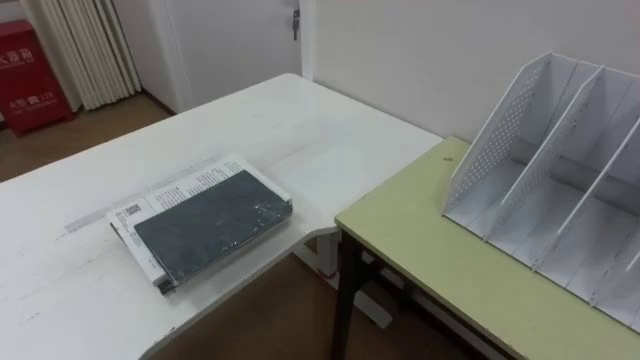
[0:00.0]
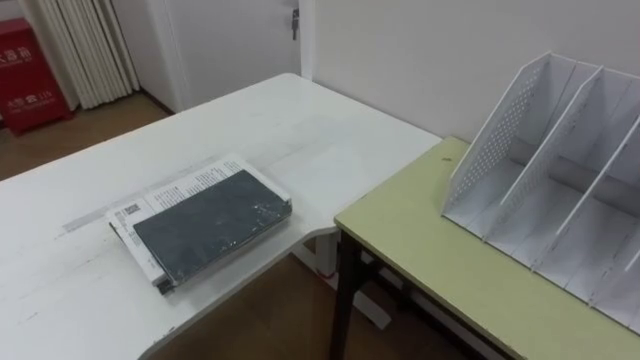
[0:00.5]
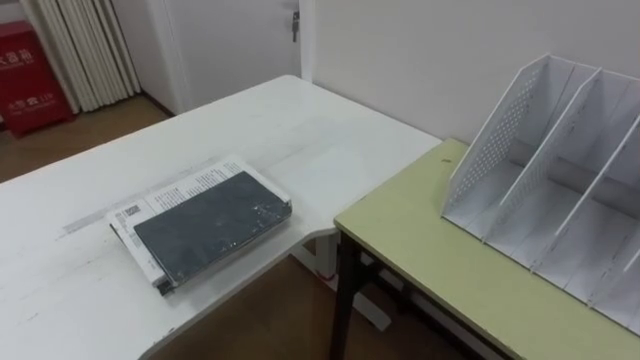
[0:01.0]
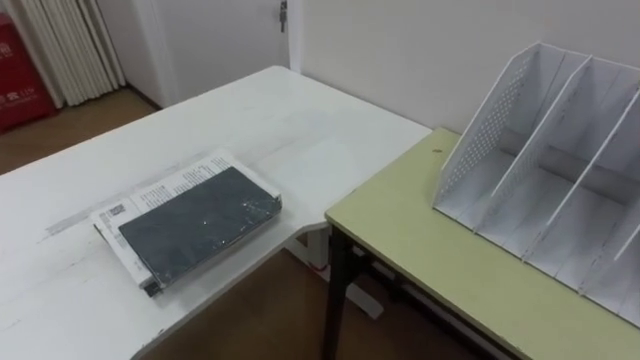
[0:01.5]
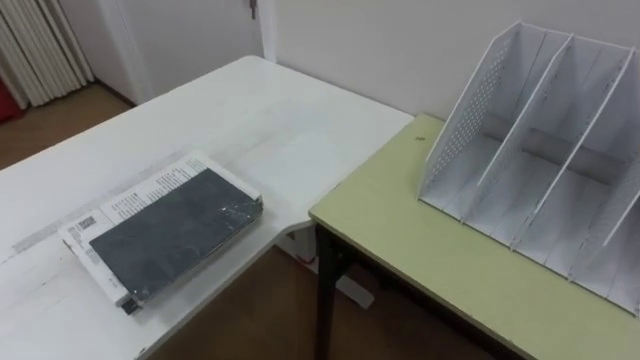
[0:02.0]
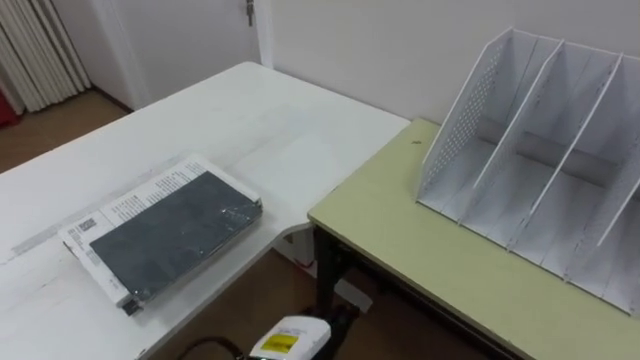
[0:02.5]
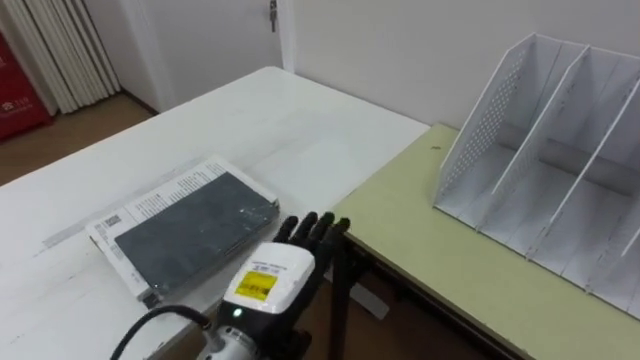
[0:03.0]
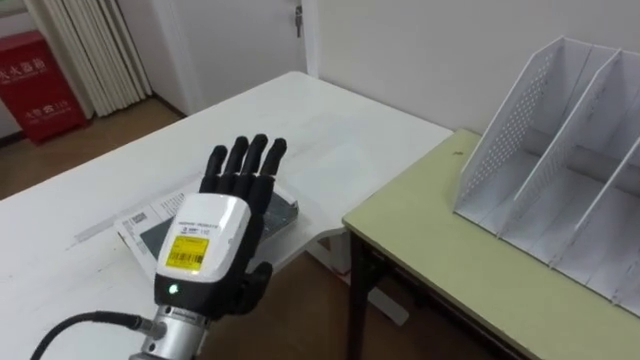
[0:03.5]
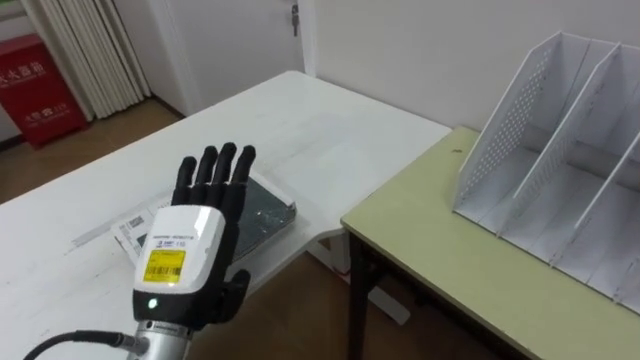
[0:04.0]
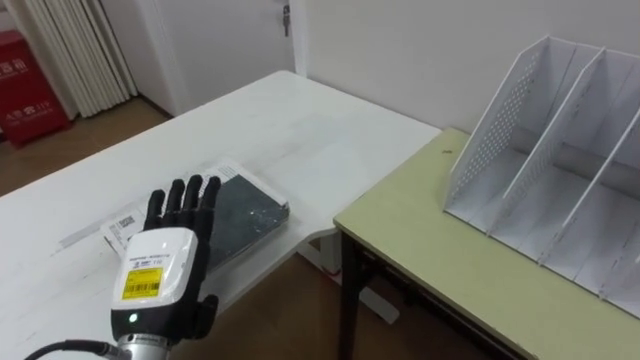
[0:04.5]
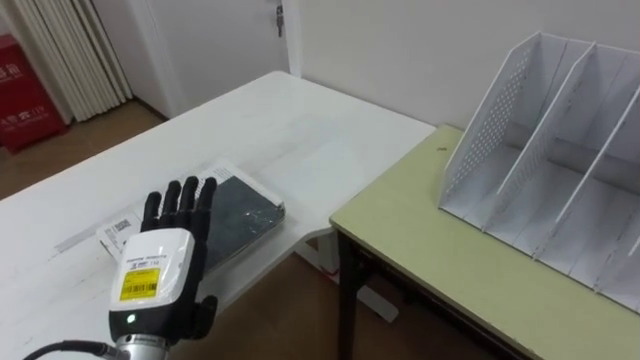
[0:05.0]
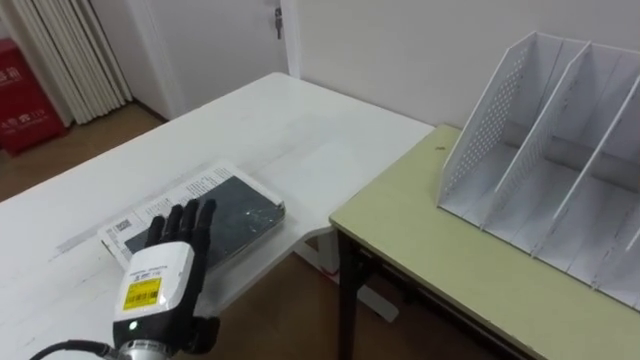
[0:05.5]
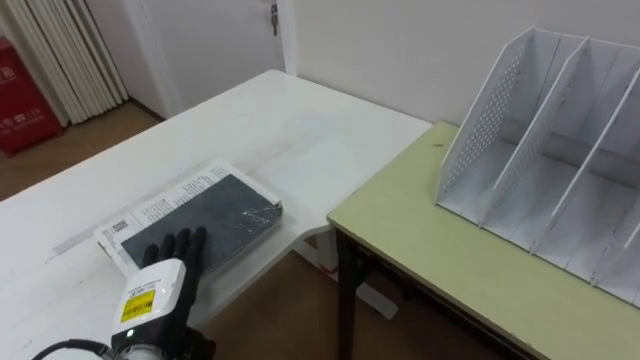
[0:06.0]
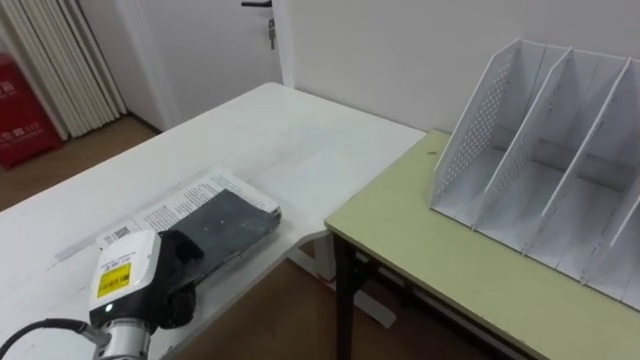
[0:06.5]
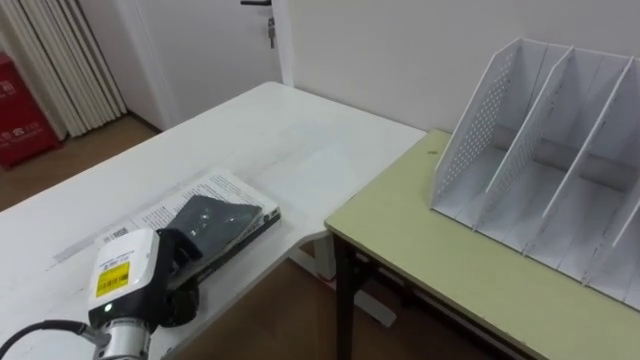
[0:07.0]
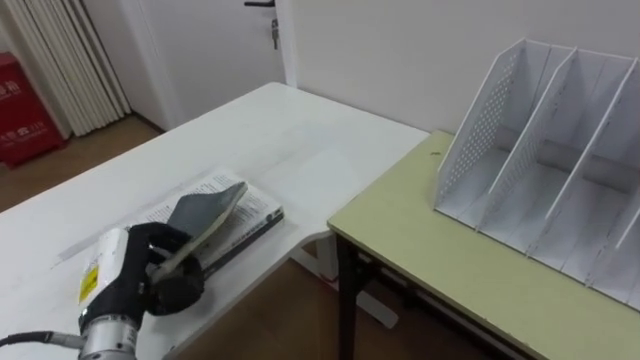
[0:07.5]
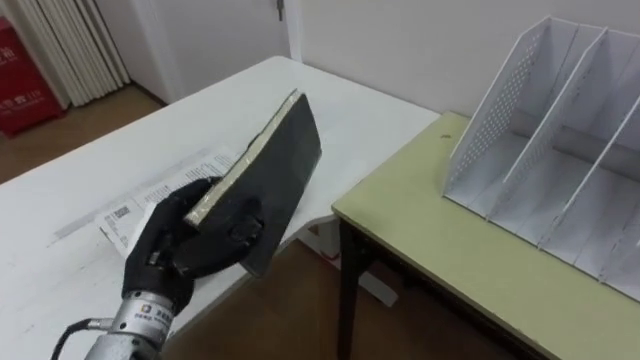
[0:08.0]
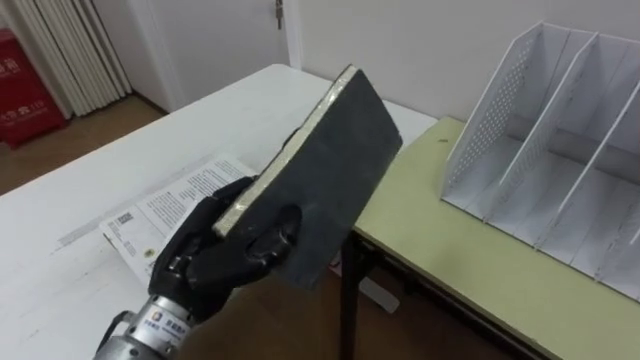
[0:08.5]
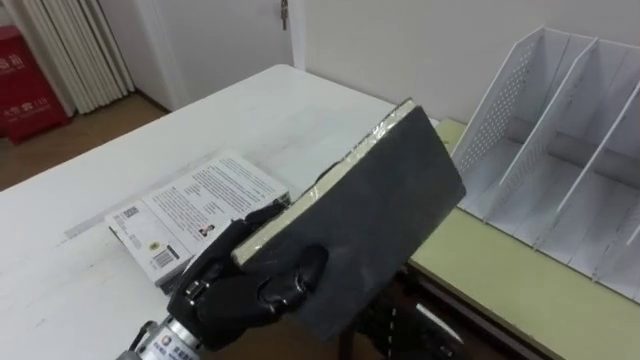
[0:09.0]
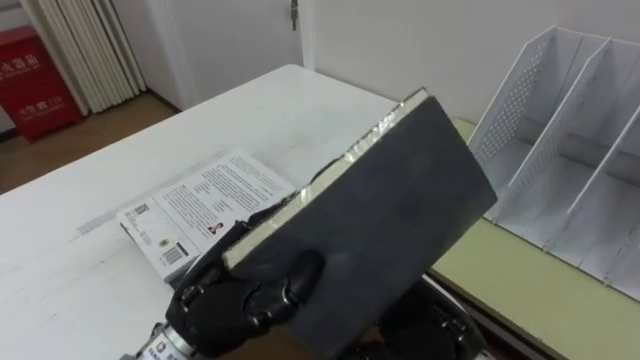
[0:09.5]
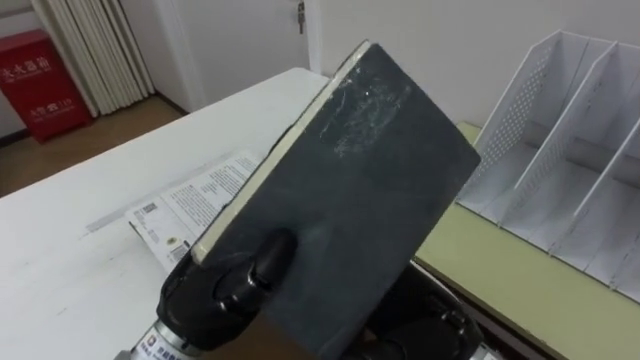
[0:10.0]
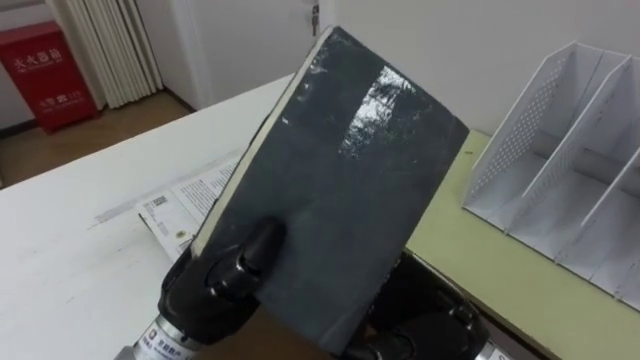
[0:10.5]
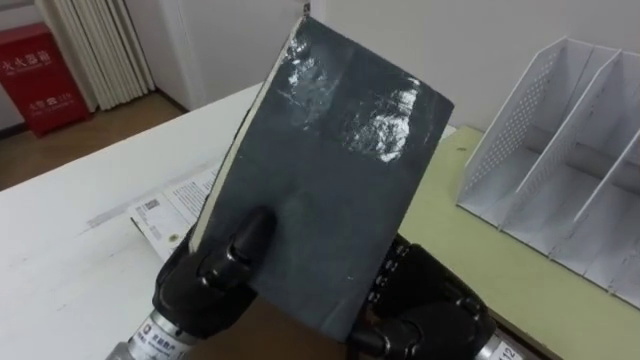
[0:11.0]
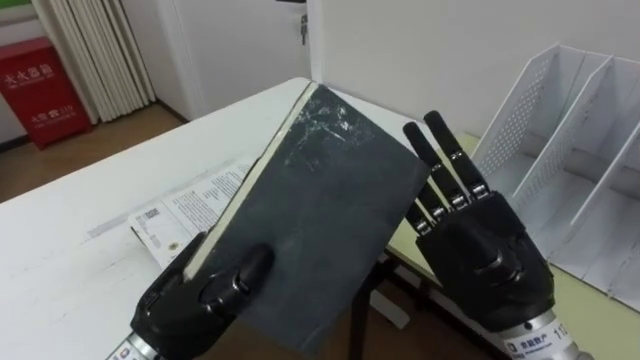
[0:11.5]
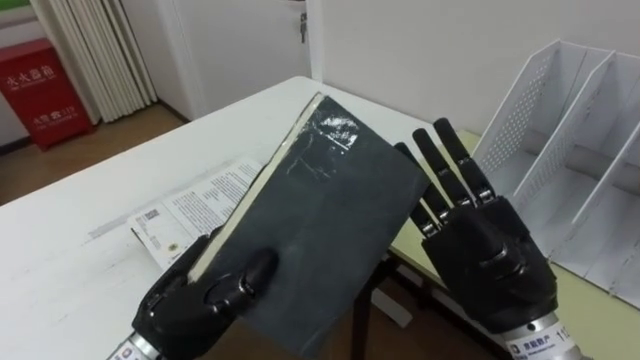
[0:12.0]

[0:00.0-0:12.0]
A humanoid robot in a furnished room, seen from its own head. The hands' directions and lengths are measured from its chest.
Task of the whole recording: Put the books on the table onto the bookshelf.
0:04.0 to 0:06.0: The left hand goes some 10 cm downward and to the left.
0:06.0 to 0:08.0: The left hand is displaced upward by approximately 10 cm, and closes its fingers.
0:08.0 to 0:10.0: The left hand shifts about 5 cm to the right.
0:10.0 to 0:12.0: The right hand moves upward and to the right, approximately 10 cm, while the left hand changes place by roughly 5 cm.

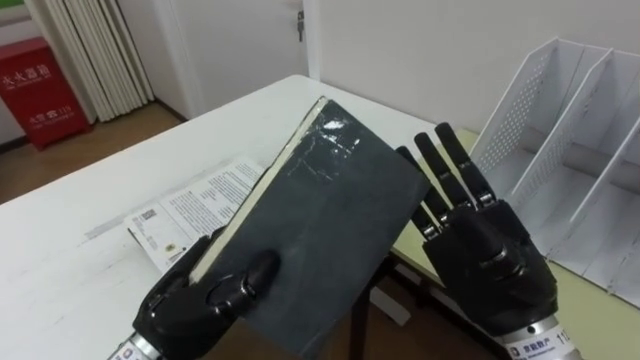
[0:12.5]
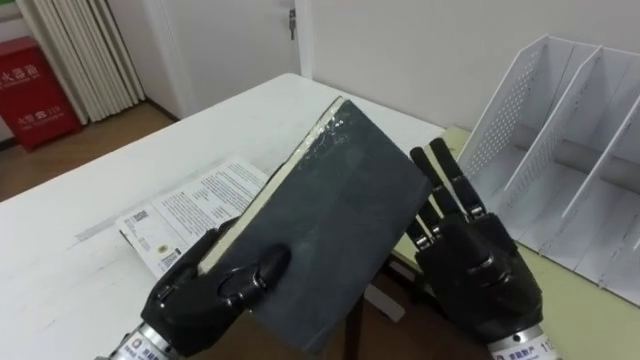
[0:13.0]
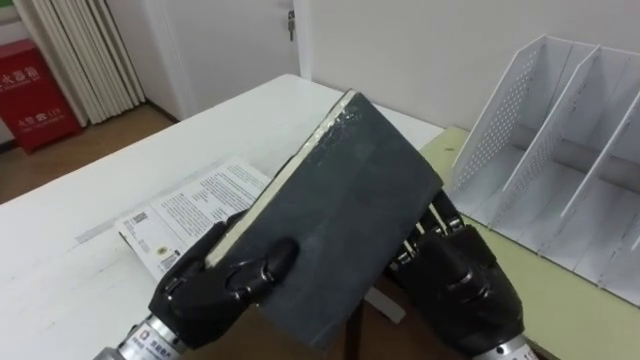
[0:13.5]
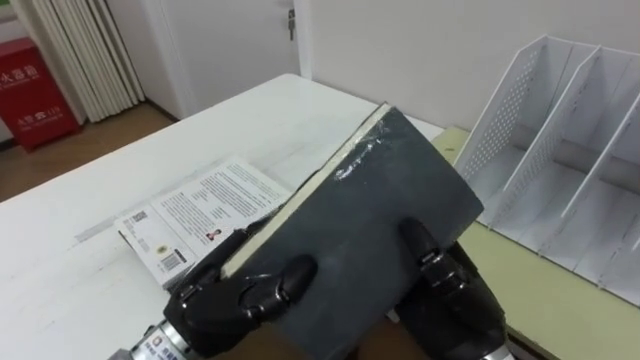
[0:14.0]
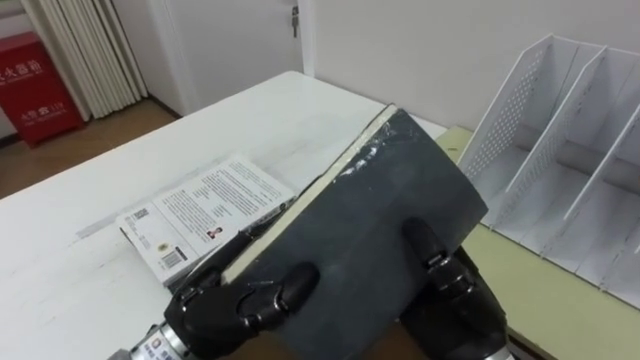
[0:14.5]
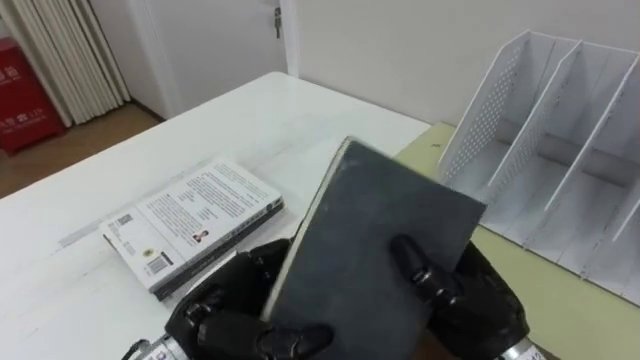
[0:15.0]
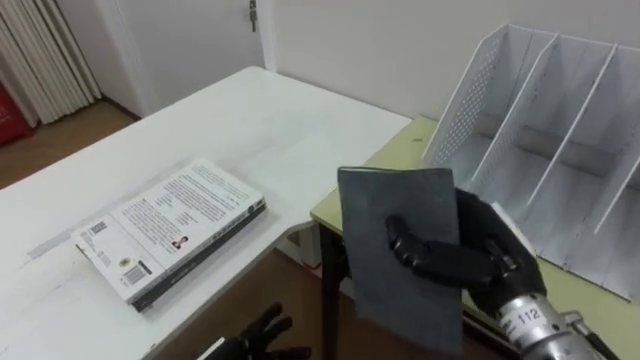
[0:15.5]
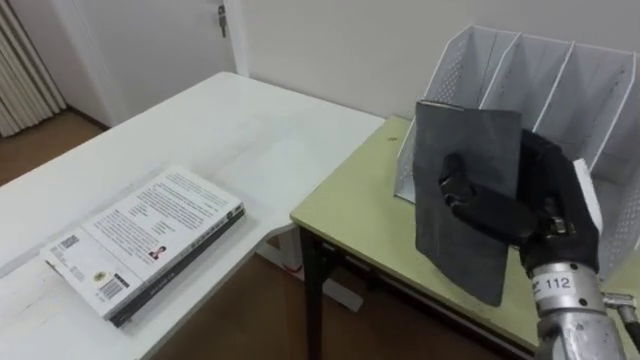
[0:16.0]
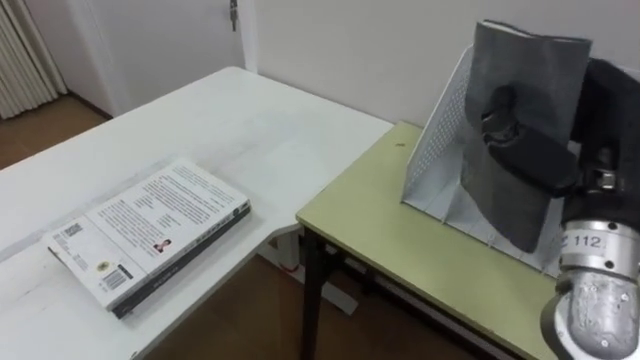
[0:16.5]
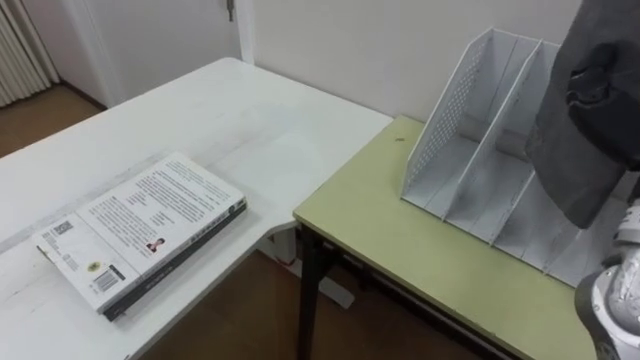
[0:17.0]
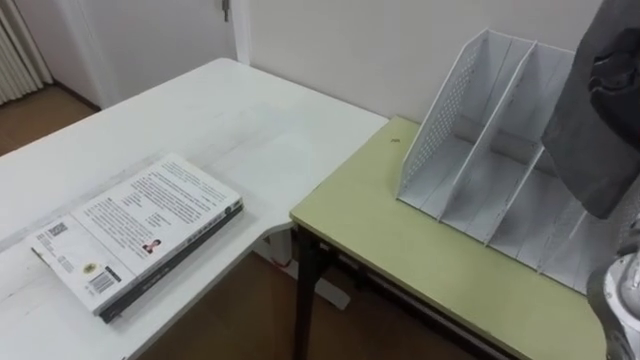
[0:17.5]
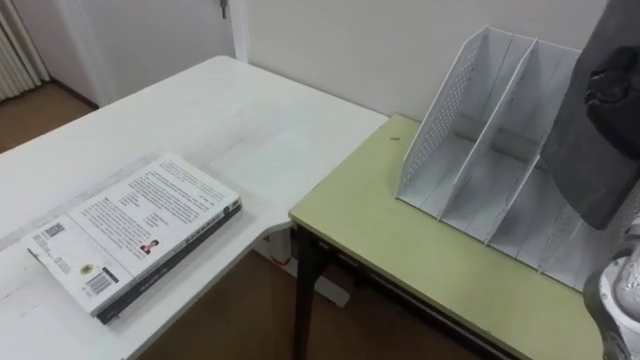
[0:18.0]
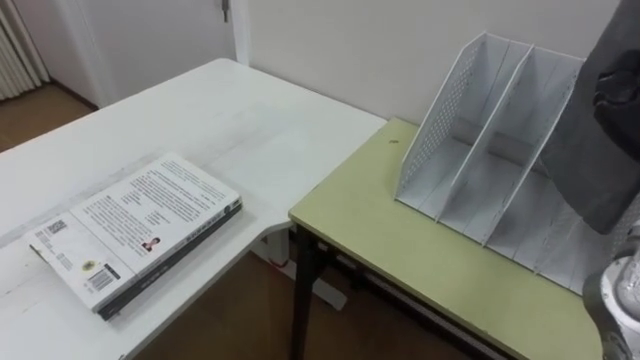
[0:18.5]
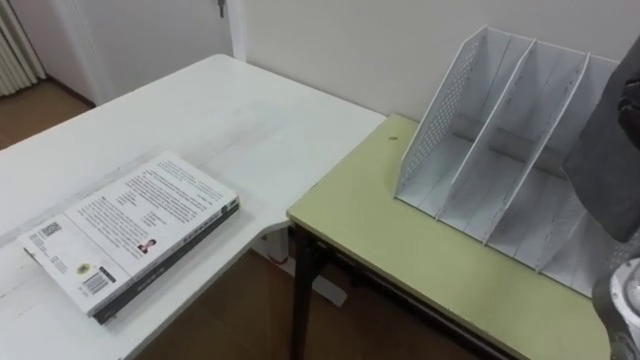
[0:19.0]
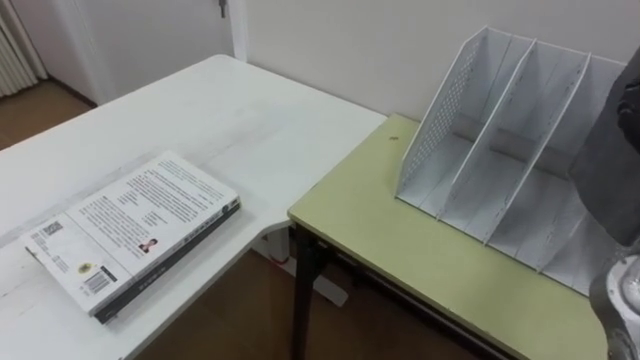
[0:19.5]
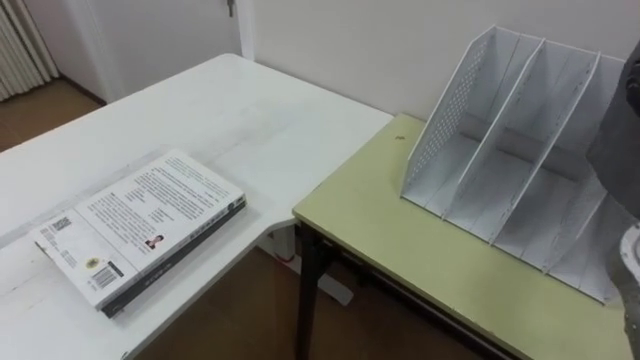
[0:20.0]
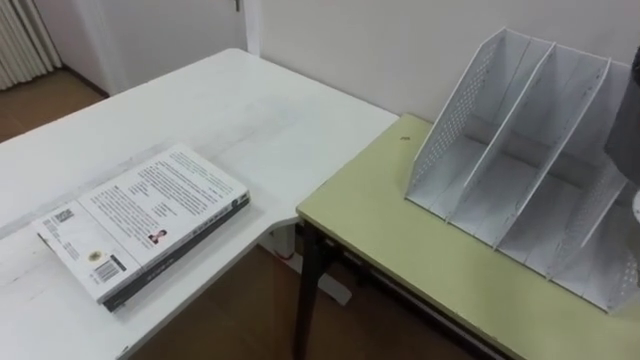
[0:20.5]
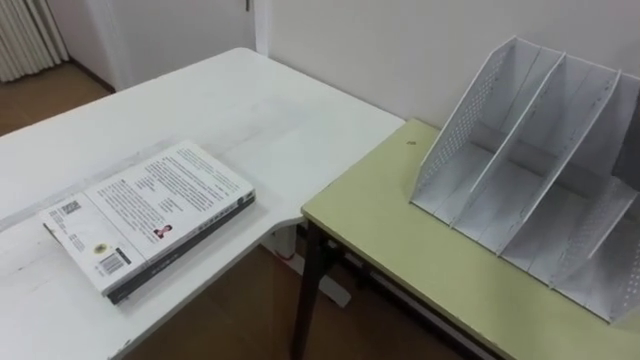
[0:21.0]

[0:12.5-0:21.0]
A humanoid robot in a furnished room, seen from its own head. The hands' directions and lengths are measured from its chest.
Task of the whole recording: Put the books on the table onto the bookshelf.
0:12.5 to 0:14.5: The right hand shifts by some 5 cm, and closes up.
0:14.5 to 0:16.5: The right hand travels to the right, upward and forward by roughly 15 cm.
